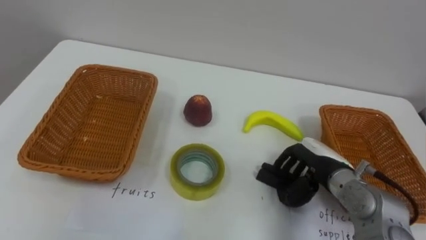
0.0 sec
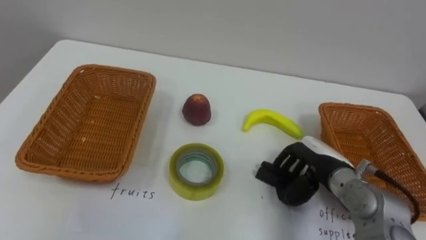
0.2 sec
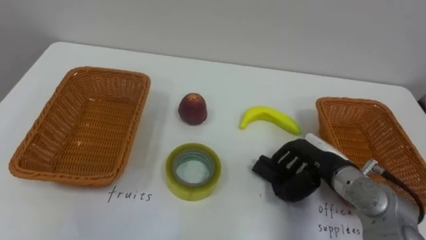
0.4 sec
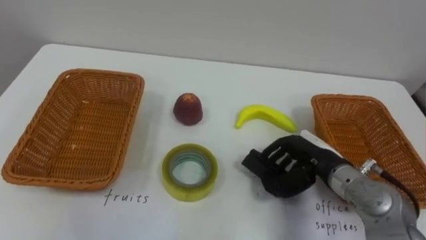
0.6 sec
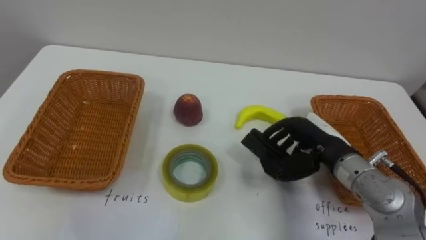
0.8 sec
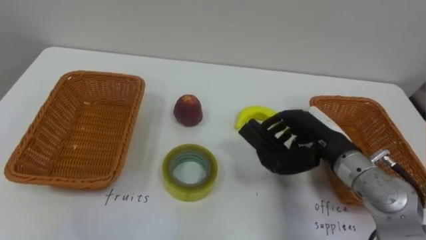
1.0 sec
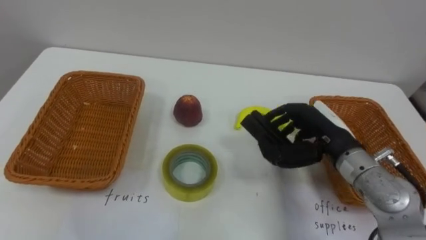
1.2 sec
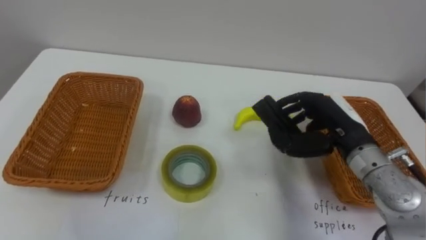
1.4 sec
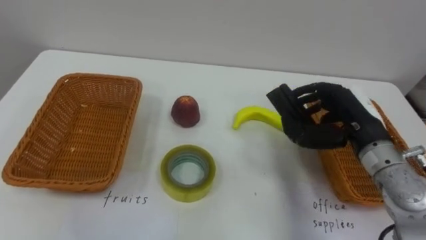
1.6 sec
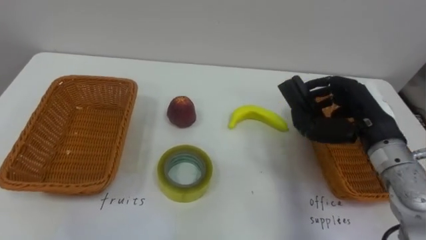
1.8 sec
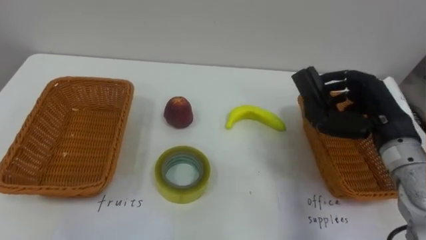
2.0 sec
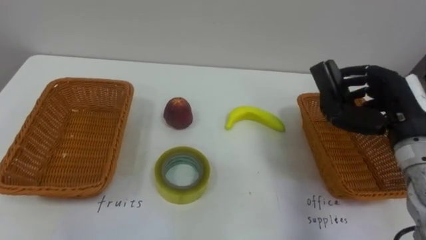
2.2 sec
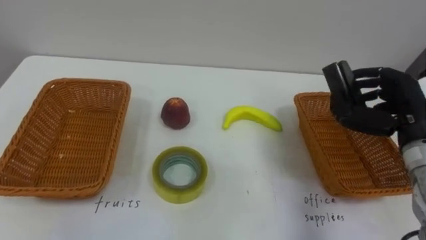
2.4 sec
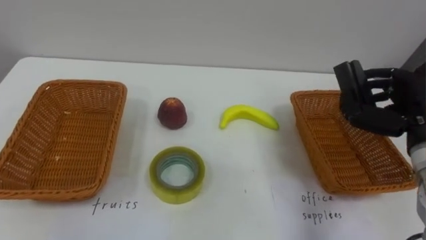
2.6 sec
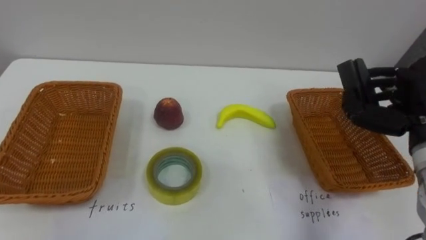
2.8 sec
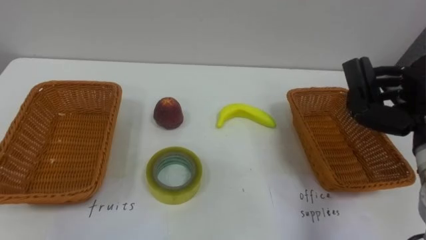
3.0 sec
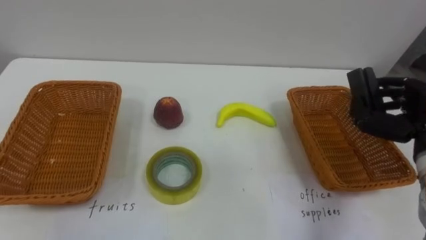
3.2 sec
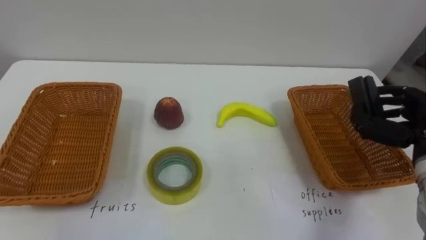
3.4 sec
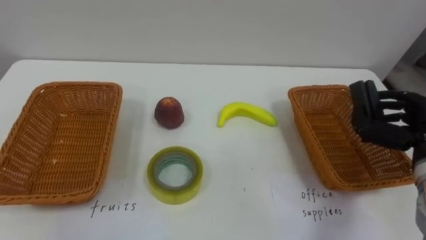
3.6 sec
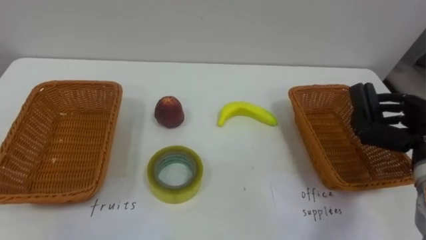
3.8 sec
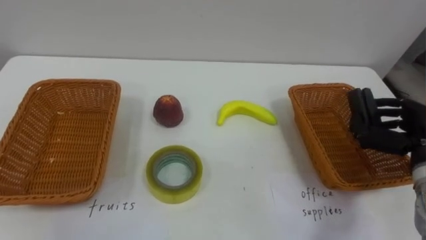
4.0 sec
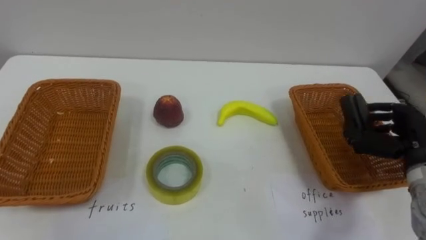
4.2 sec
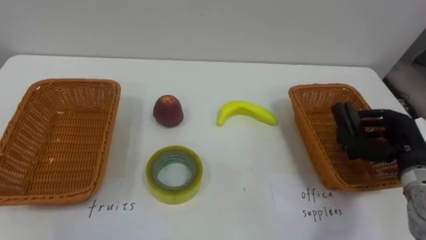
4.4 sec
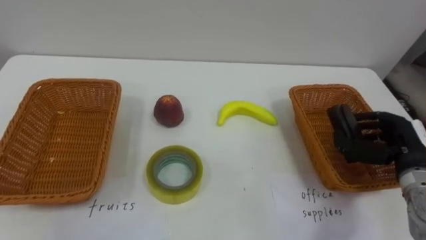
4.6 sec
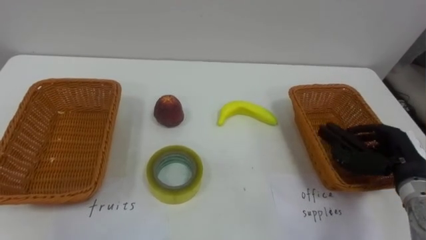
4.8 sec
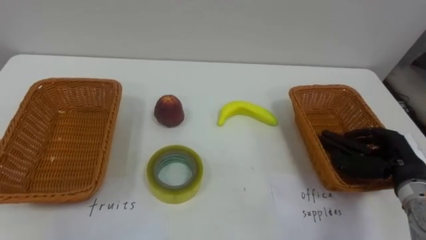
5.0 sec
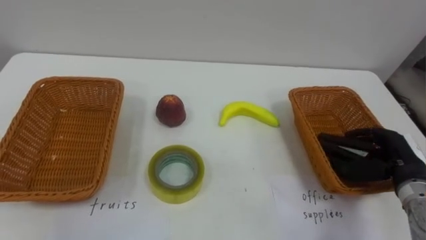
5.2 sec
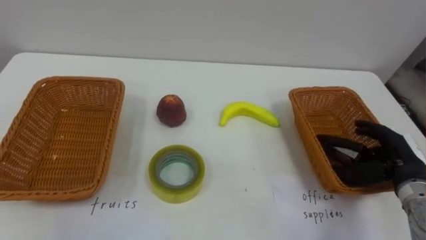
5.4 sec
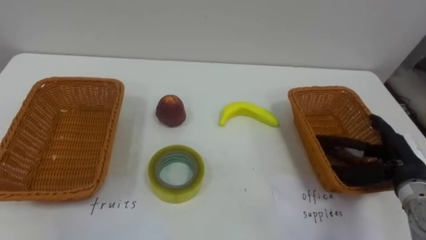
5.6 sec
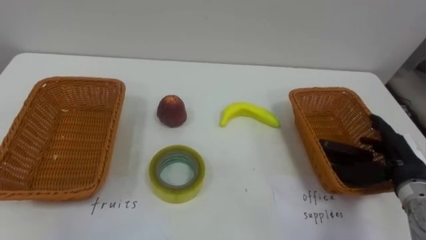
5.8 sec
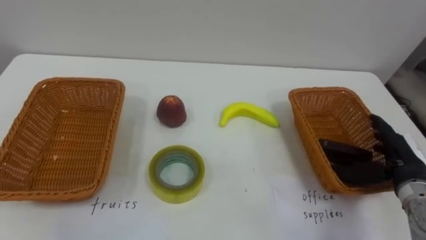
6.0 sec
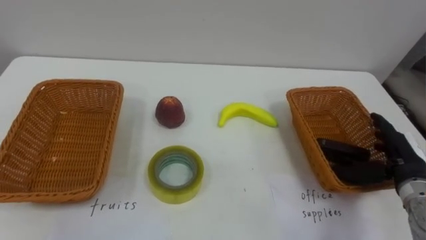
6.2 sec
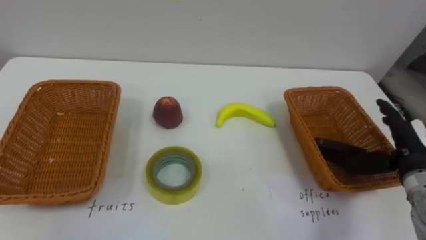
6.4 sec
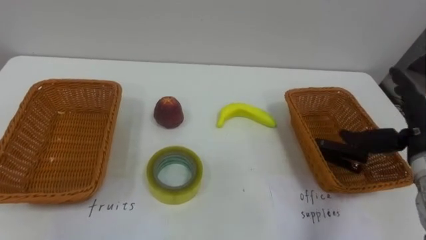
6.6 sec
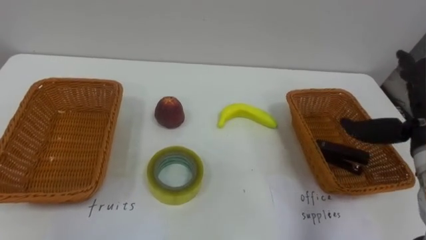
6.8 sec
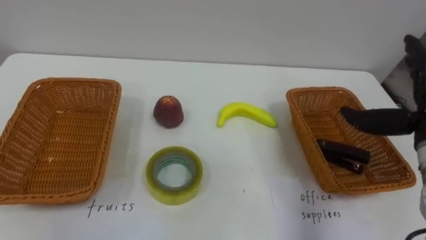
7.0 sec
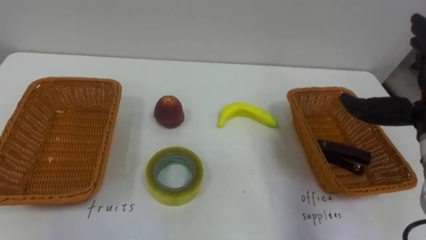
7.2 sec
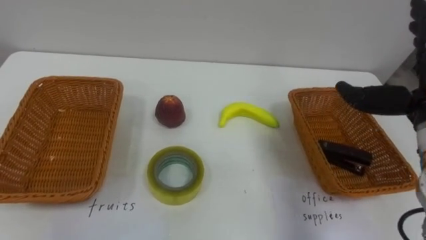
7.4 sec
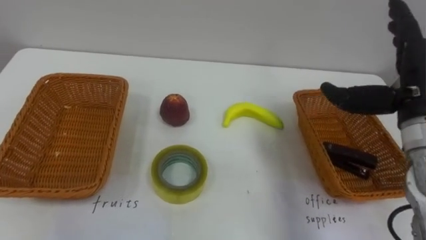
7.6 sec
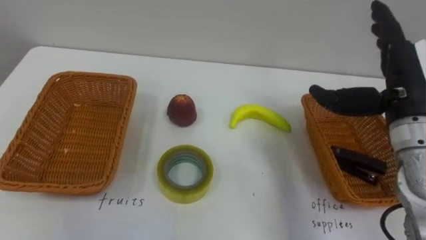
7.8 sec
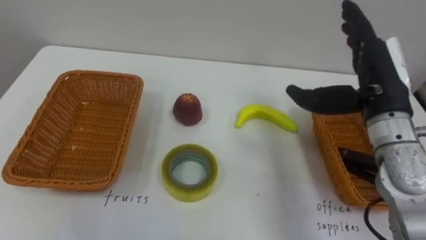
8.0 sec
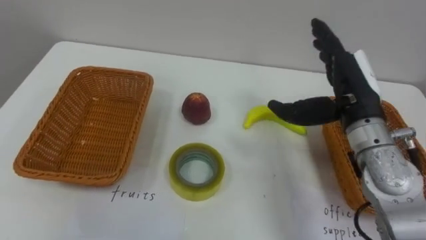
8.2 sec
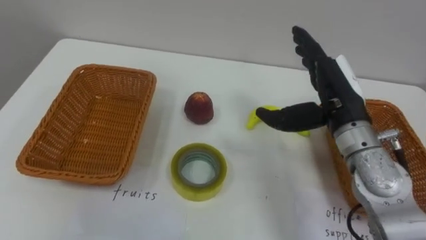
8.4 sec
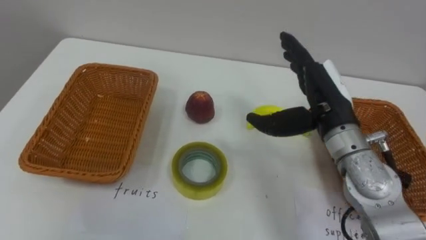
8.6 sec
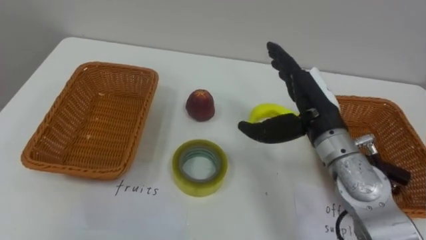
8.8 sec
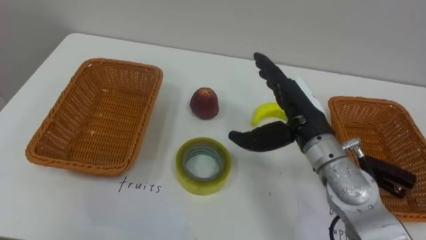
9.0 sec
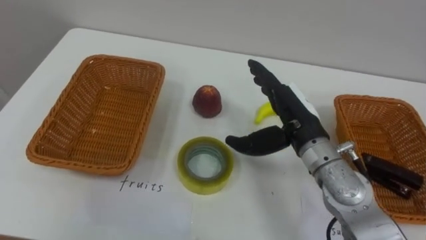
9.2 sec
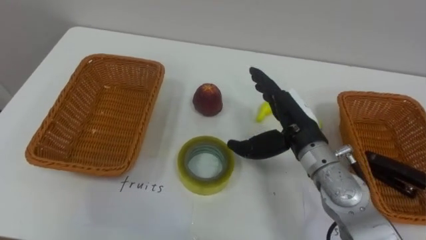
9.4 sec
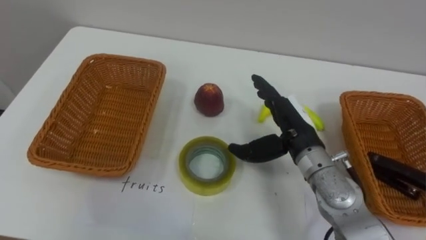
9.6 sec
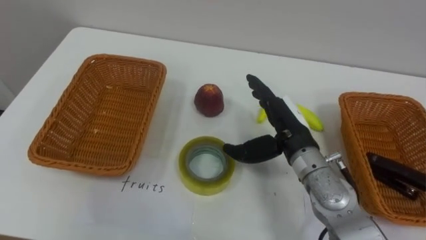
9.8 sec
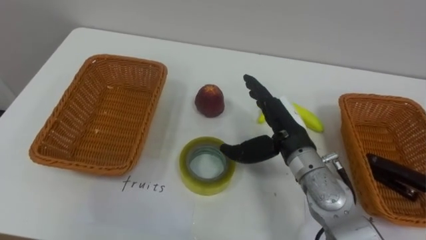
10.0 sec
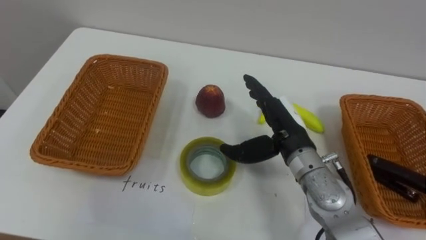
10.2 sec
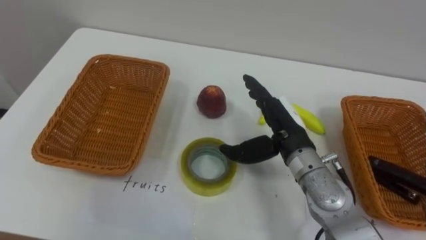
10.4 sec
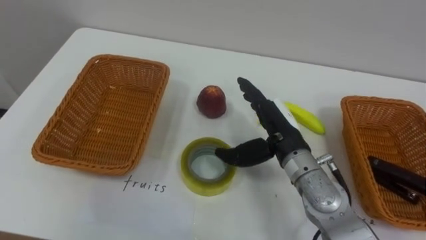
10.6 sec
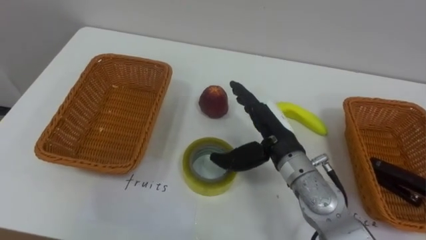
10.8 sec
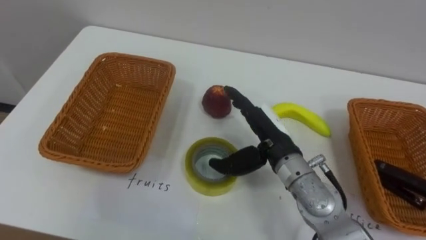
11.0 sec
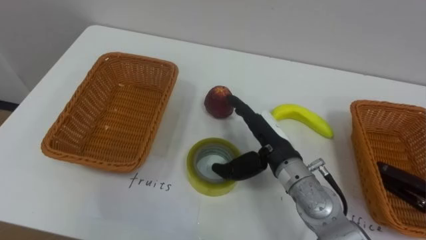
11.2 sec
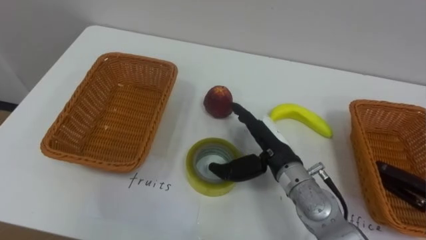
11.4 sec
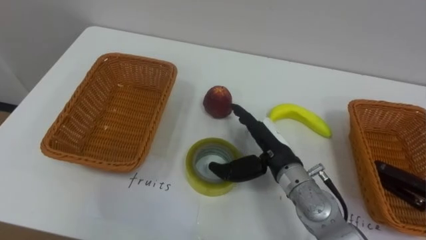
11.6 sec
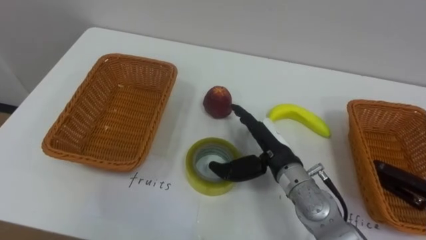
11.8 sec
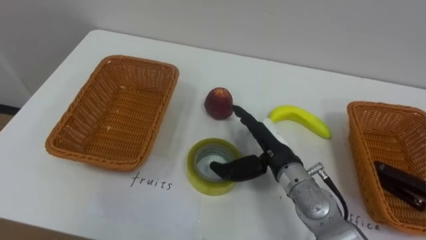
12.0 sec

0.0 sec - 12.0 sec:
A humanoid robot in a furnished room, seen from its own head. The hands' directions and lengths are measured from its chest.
Task of the whole recording: Separate the items on the table and place them into the two baskets.
0.0 sec - 1.6 sec: The right hand is displaced upward by approximately 10 cm.
1.6 sec - 3.0 sec: The right hand travels to the right by roughly 10 cm.
3.0 sec - 4.4 sec: The right hand is displaced downward by some 10 cm.
4.4 sec - 6.0 sec: The right hand opens.
7.6 sec - 9.0 sec: The right hand moves to the left and downward, roughly 15 cm.
10.4 sec - 12.0 sec: The right hand is displaced downward by some 5 cm.

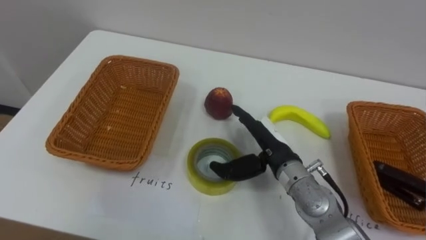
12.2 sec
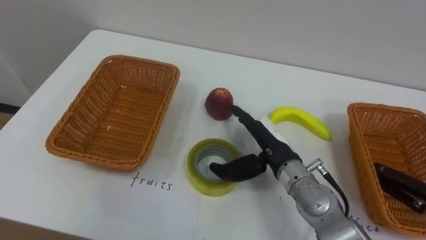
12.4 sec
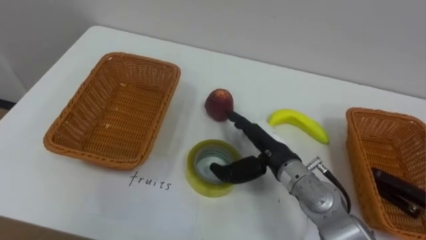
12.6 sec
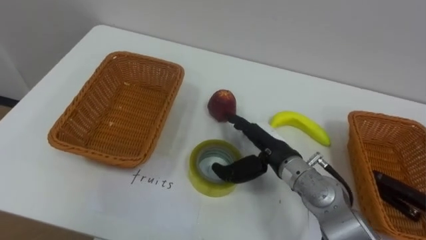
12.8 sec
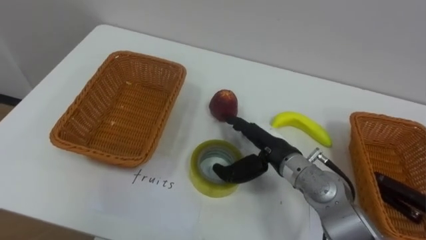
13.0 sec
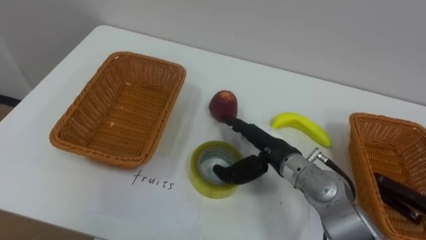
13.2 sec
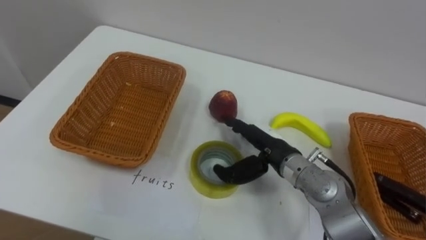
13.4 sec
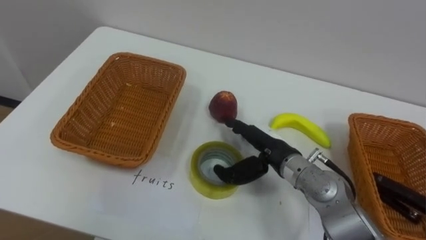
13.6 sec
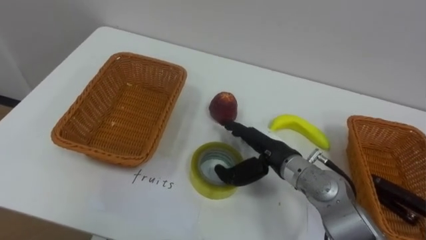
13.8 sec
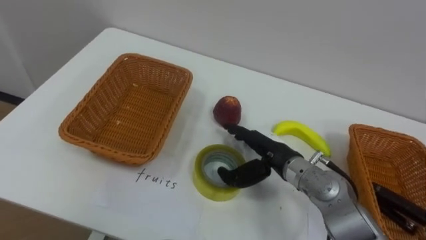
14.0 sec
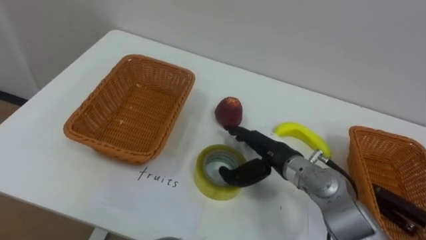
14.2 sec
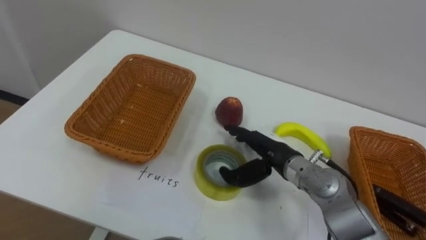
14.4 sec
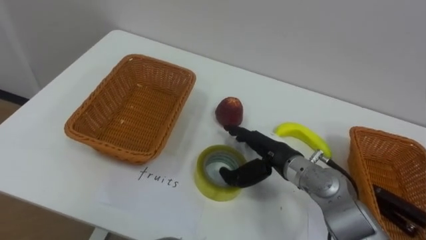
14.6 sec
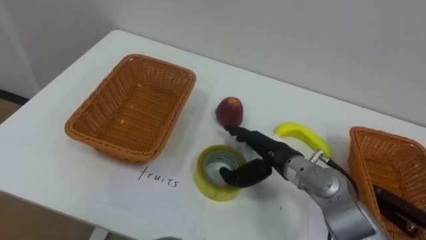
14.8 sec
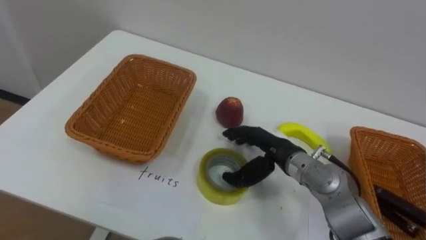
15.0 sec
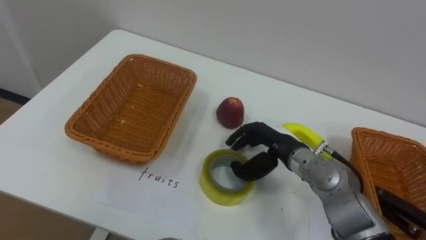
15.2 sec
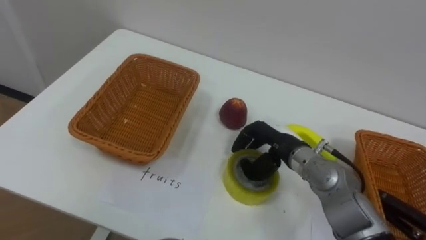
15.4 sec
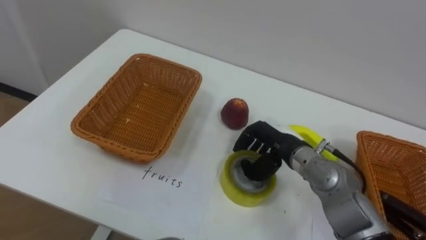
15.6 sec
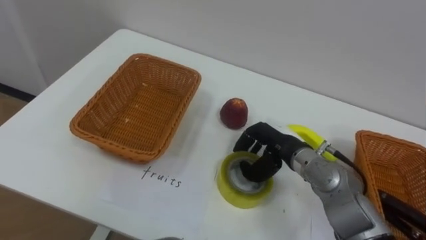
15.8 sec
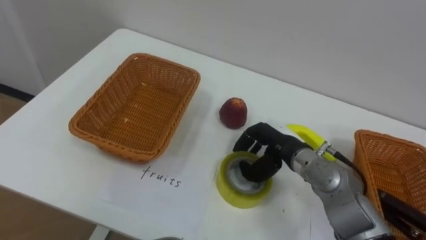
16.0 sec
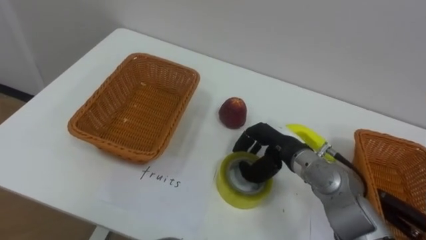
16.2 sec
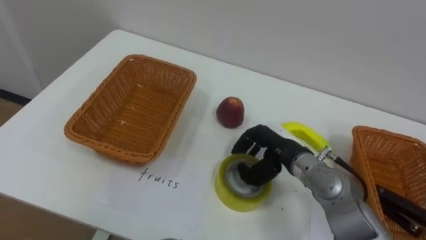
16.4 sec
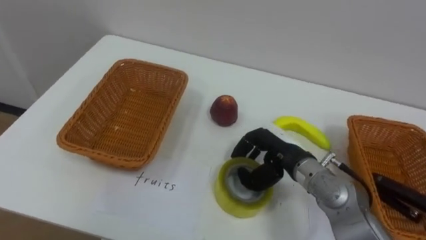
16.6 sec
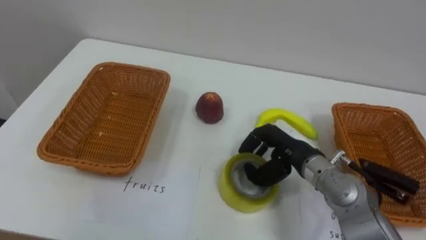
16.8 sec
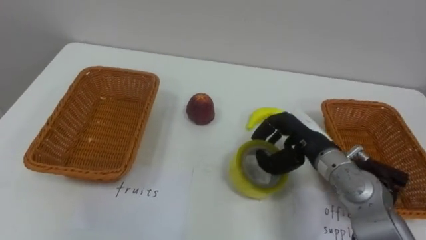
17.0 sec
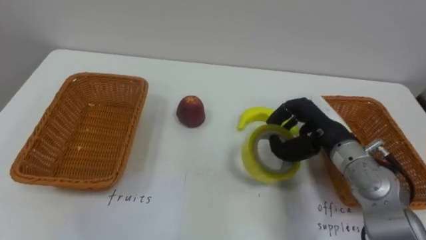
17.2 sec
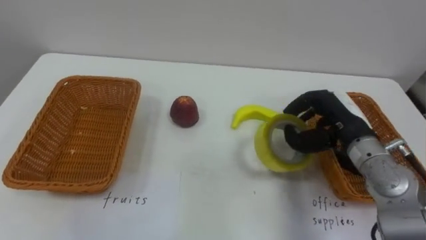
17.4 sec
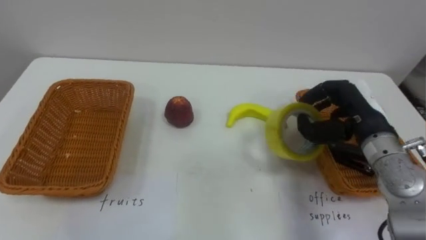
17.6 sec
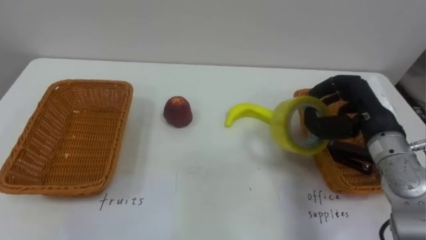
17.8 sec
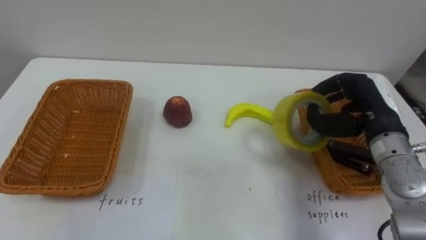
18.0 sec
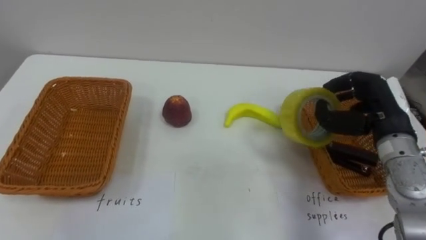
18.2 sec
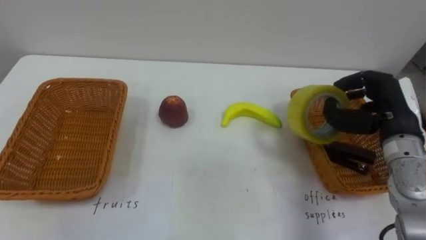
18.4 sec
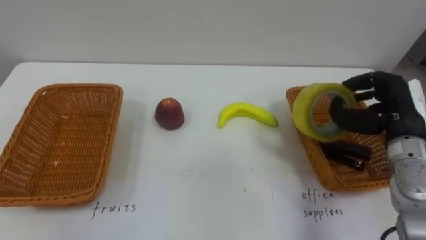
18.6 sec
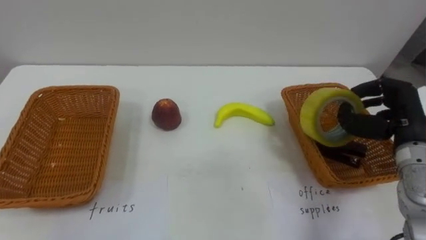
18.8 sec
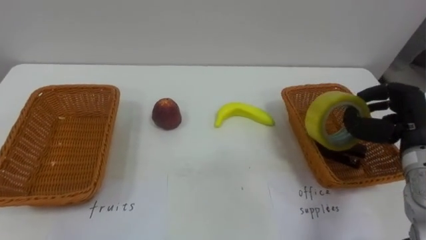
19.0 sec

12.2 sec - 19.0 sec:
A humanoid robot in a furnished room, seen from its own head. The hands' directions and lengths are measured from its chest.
Task of the whole recording: Separate the items on the table and place them into the two baskets.
15.0 sec - 16.2 sec: The right hand closes up.
16.2 sec - 17.6 sec: The right hand moves to the right and upward, roughly 15 cm.
17.6 sec - 19.0 sec: The right hand goes about 10 cm to the right.
